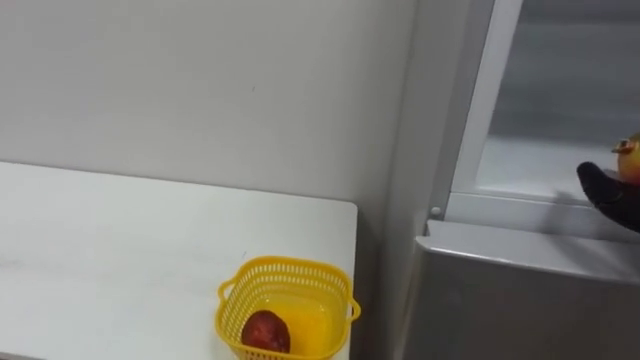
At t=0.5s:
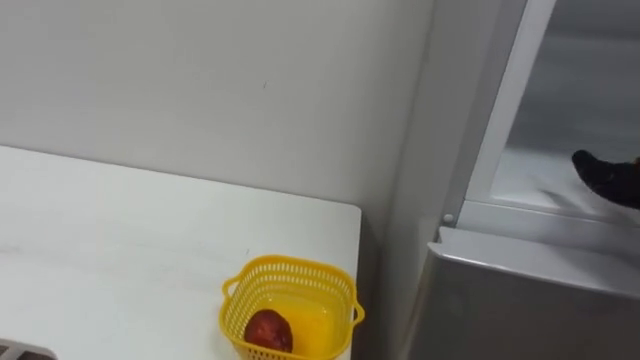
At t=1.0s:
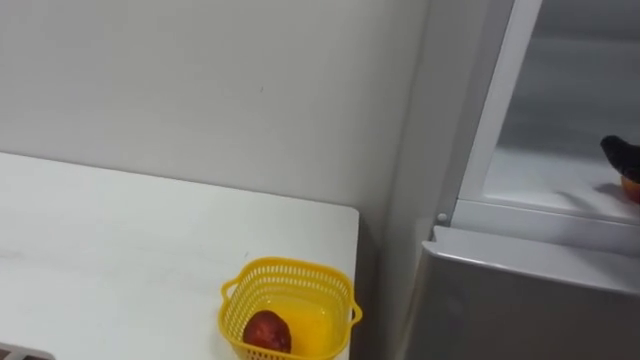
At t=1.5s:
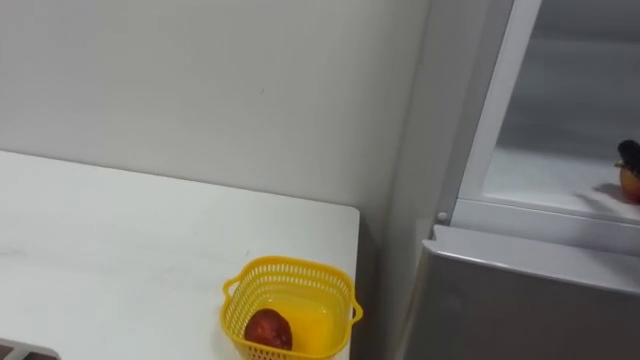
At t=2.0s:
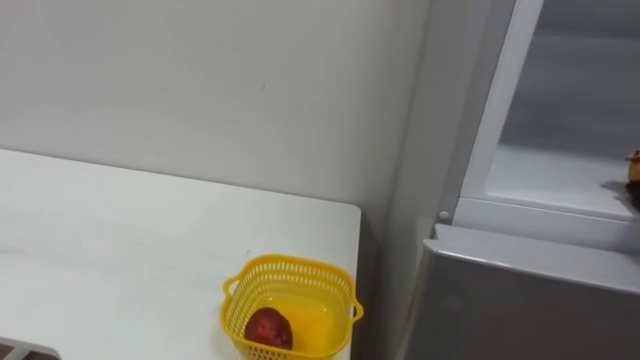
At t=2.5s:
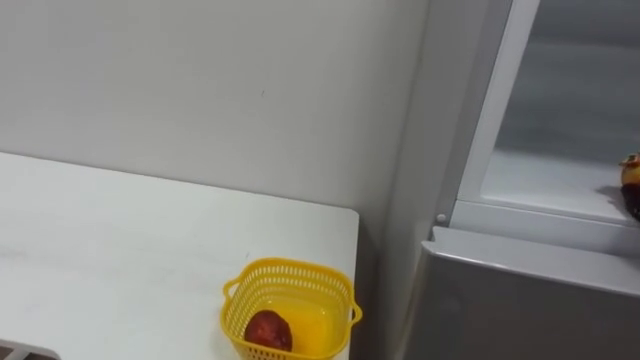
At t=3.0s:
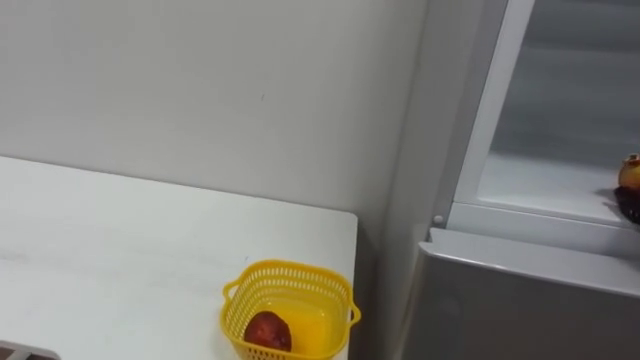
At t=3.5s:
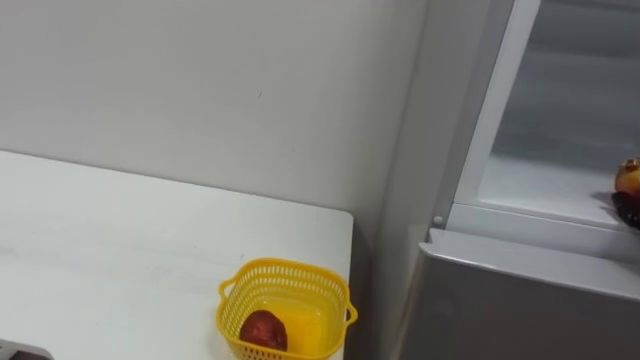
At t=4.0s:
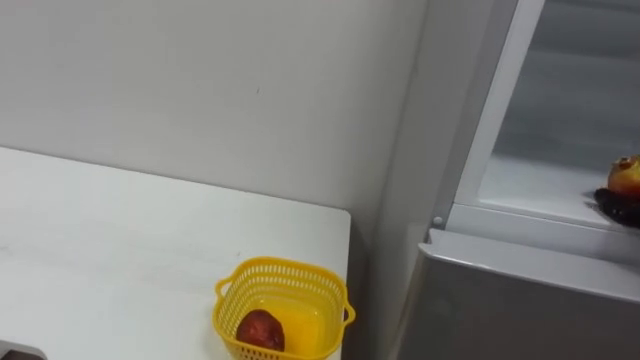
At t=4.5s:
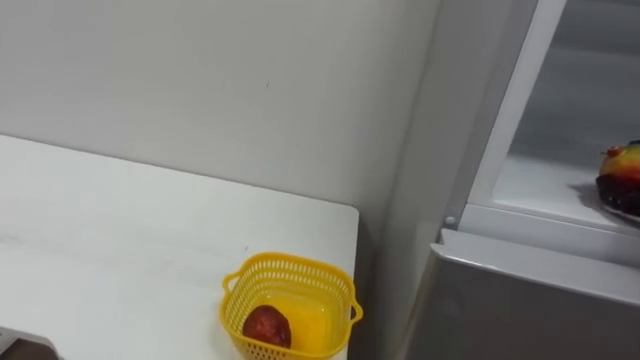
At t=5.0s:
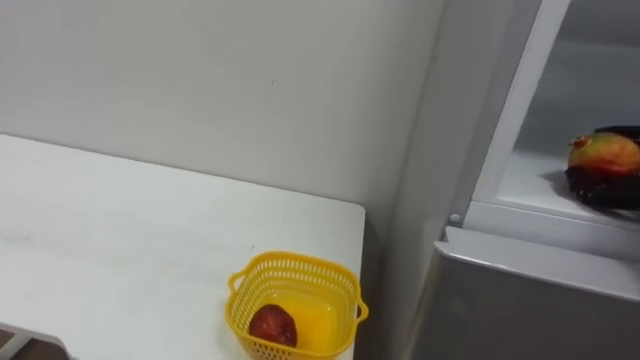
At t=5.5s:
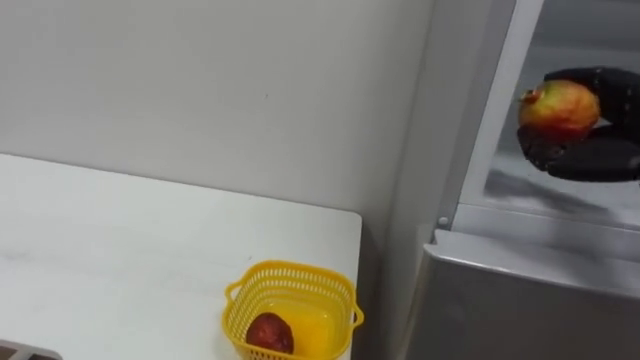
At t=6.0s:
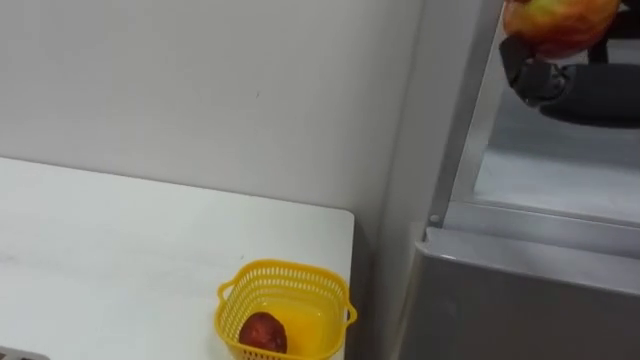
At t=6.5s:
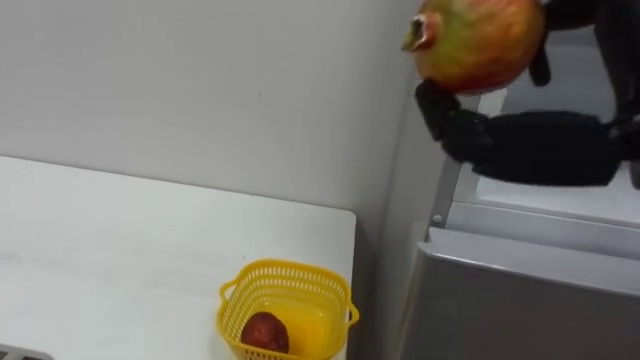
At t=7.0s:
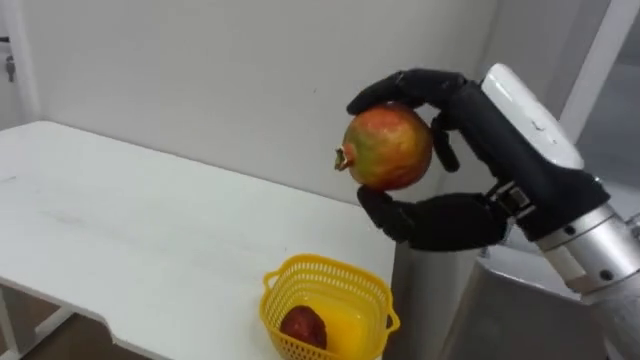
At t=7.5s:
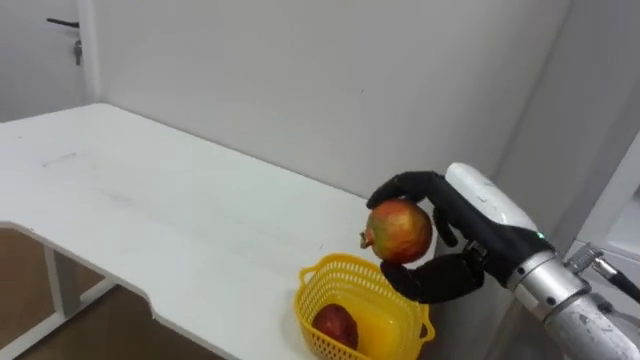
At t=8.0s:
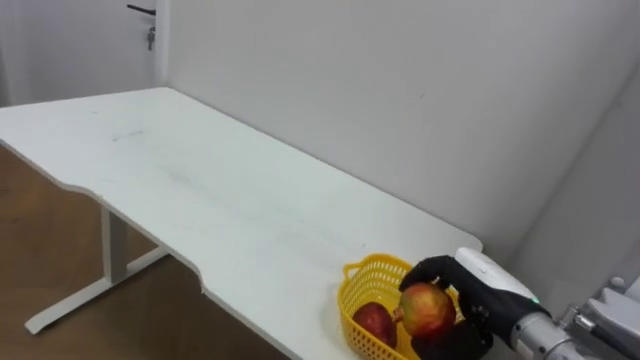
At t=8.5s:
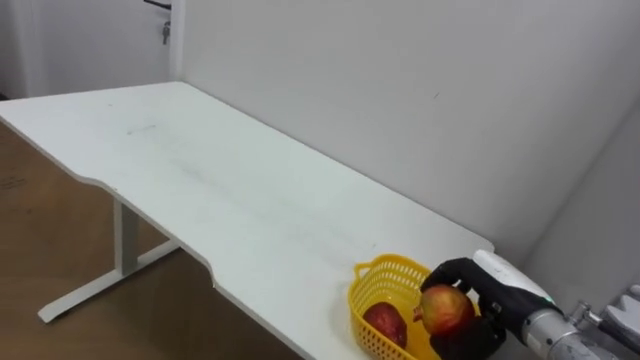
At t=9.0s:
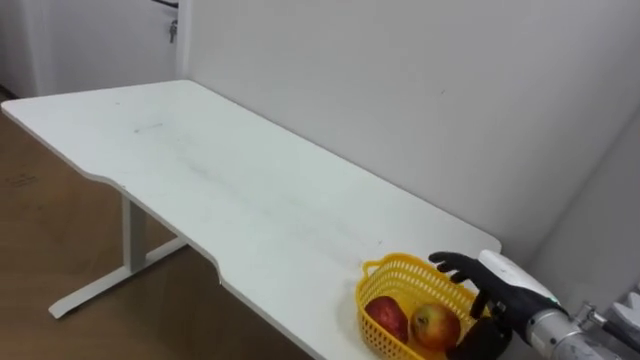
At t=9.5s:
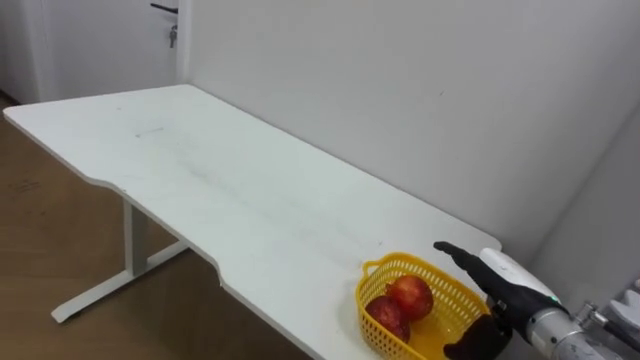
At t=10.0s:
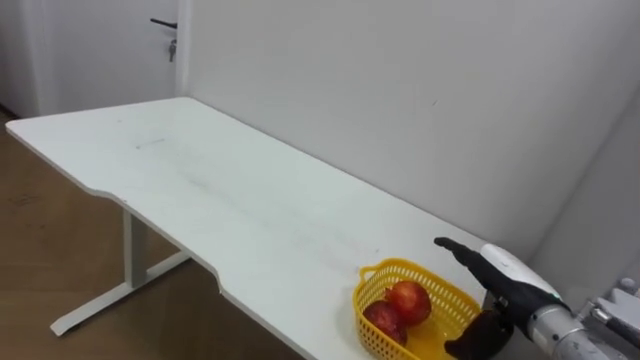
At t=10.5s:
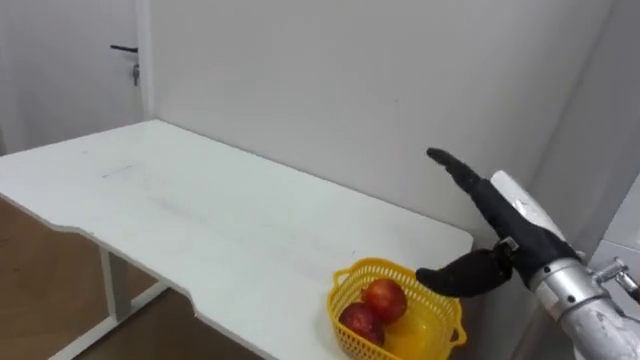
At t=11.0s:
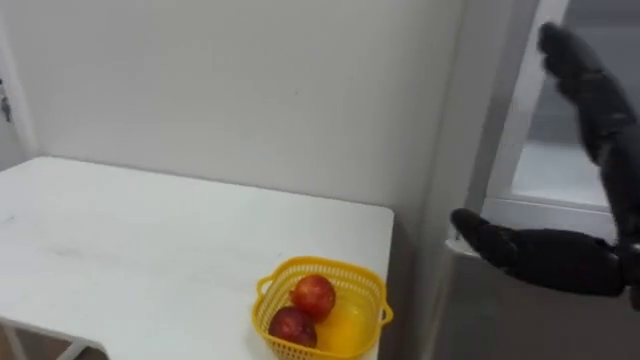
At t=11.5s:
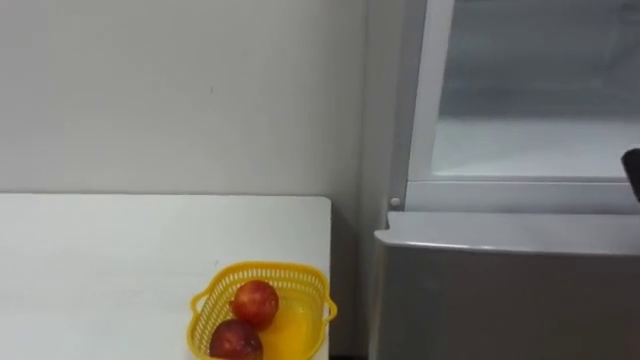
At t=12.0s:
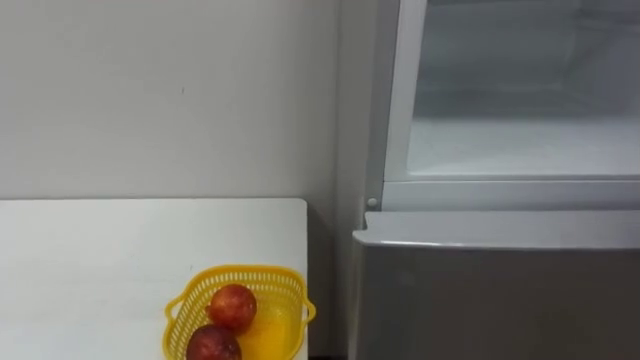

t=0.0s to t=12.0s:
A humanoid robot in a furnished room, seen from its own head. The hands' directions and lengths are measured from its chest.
Task of the whole recording: Open the refrigerator door, take out the apple and the pomegranate, place them in the fruit basket on the left, and close the refrigerator door.
t=8.0s to t=10.0s: The right hand opens up.
